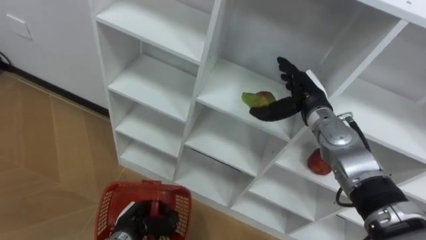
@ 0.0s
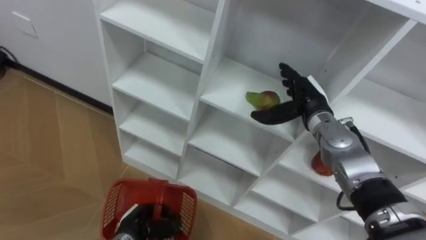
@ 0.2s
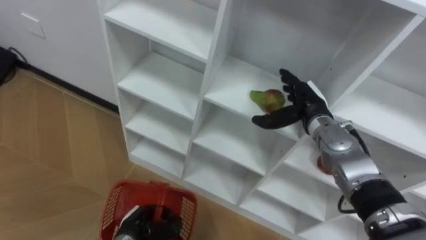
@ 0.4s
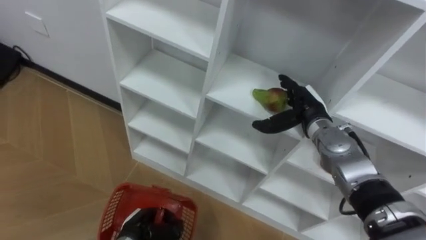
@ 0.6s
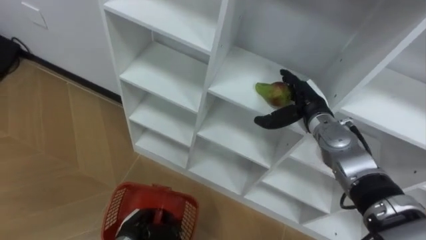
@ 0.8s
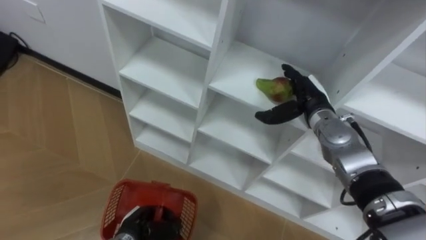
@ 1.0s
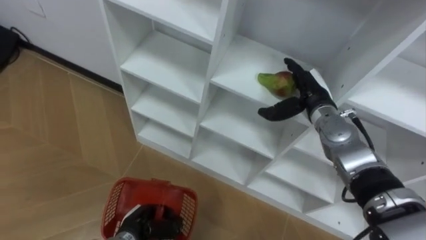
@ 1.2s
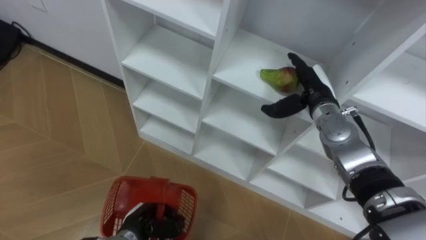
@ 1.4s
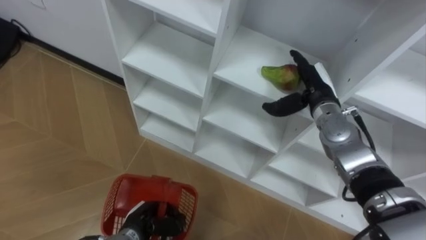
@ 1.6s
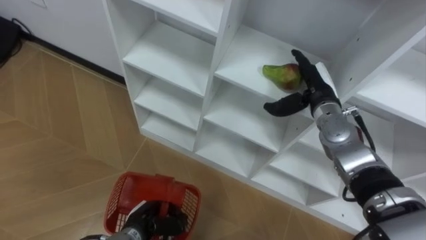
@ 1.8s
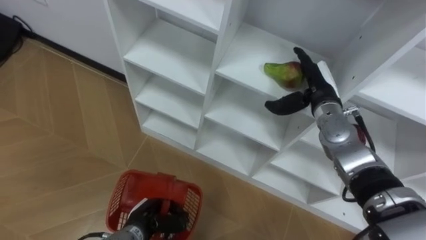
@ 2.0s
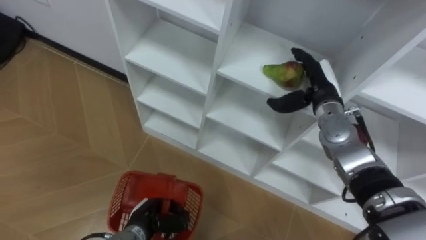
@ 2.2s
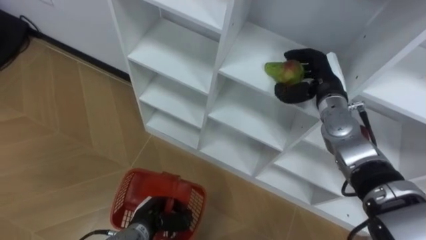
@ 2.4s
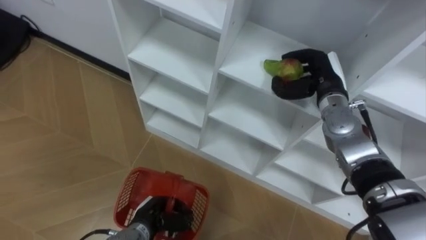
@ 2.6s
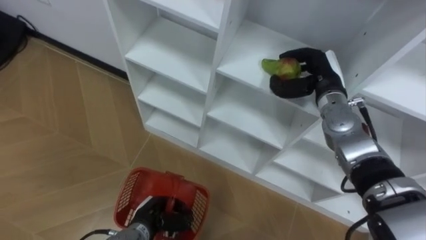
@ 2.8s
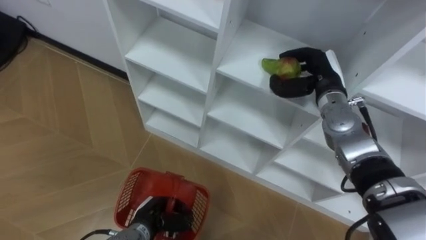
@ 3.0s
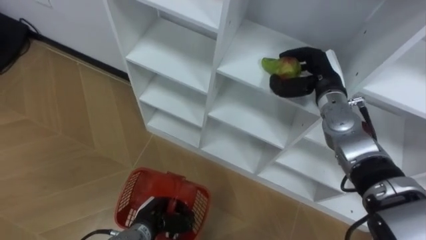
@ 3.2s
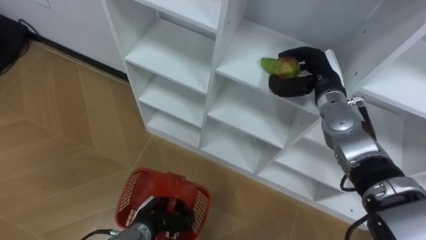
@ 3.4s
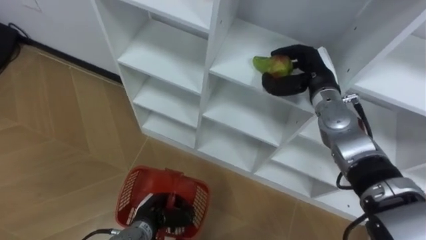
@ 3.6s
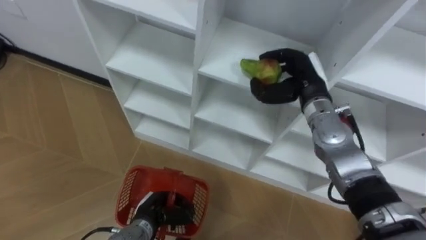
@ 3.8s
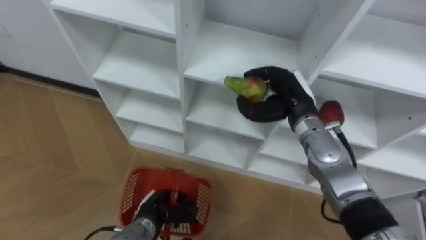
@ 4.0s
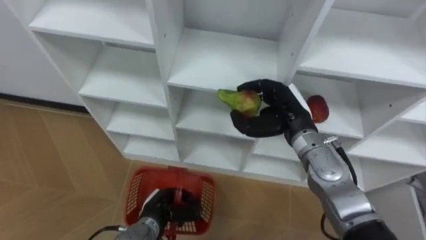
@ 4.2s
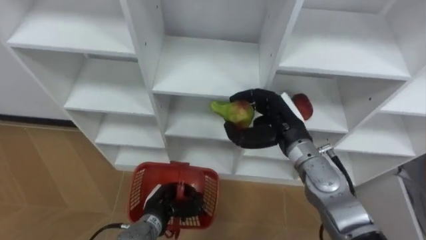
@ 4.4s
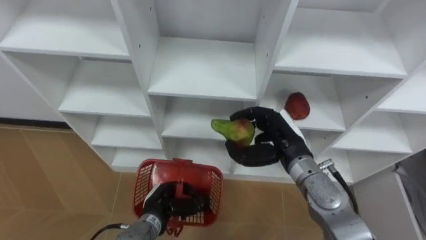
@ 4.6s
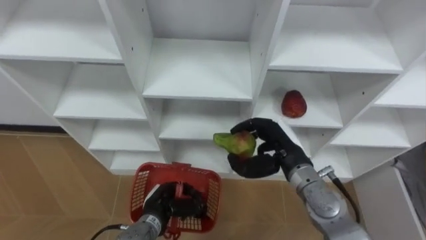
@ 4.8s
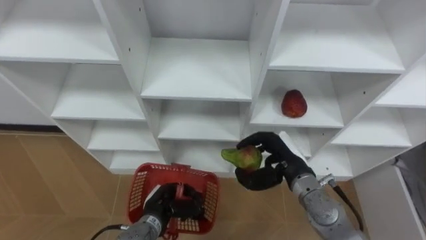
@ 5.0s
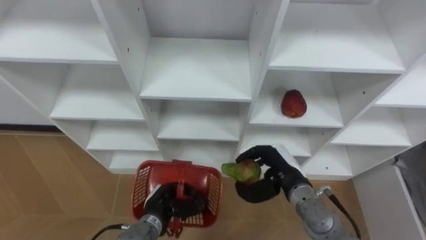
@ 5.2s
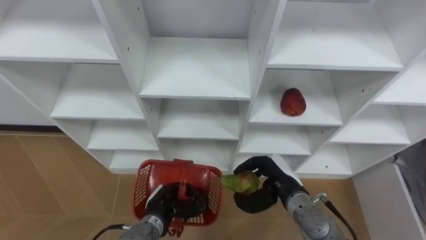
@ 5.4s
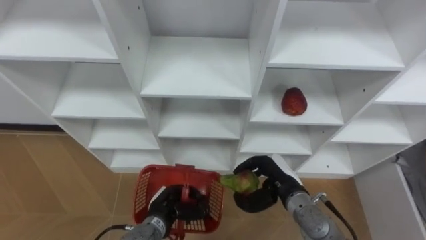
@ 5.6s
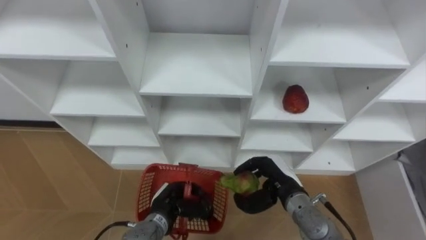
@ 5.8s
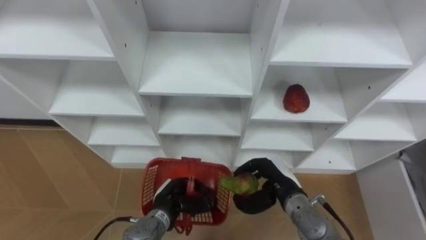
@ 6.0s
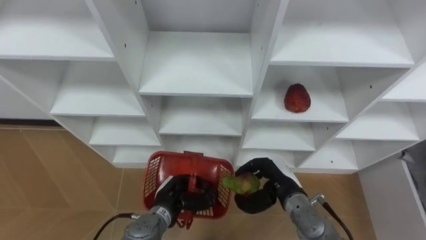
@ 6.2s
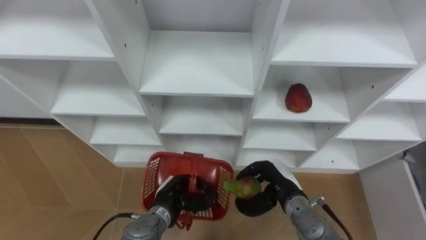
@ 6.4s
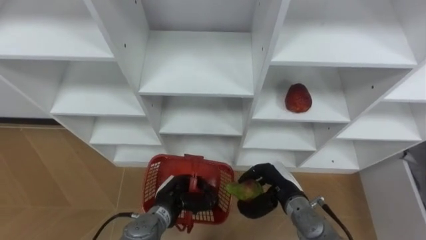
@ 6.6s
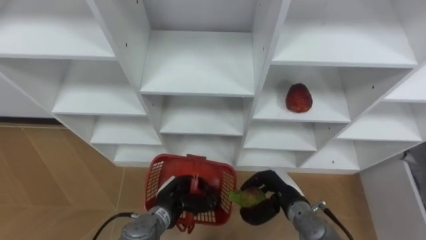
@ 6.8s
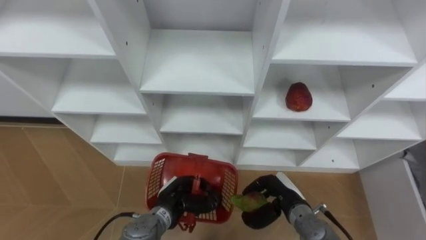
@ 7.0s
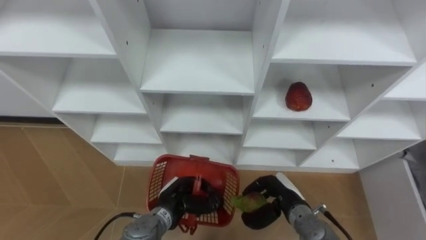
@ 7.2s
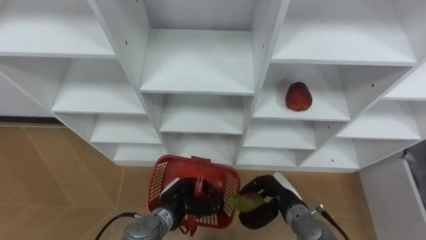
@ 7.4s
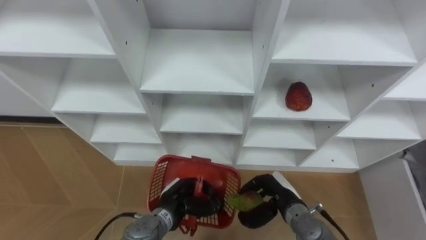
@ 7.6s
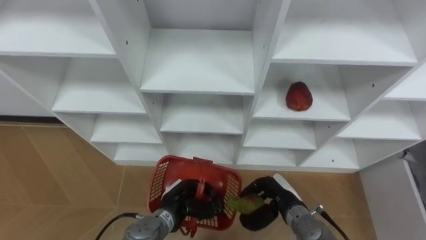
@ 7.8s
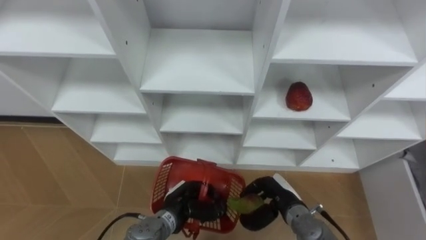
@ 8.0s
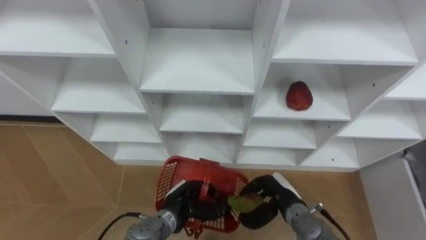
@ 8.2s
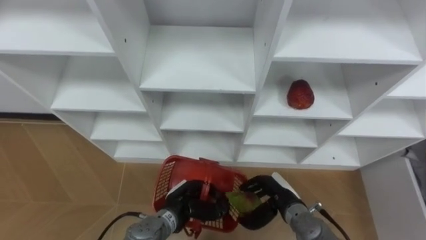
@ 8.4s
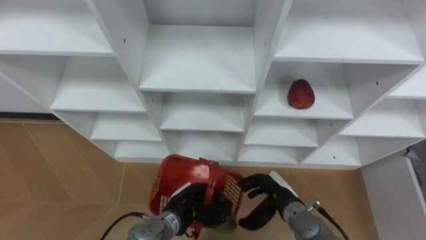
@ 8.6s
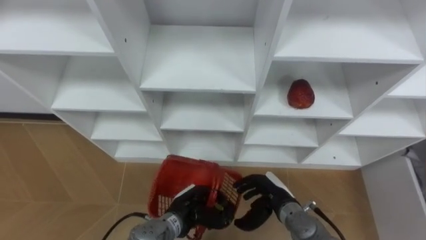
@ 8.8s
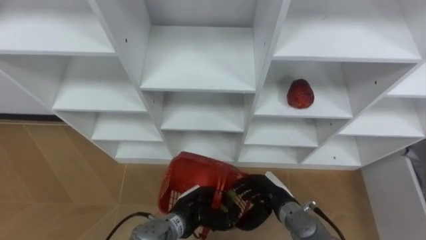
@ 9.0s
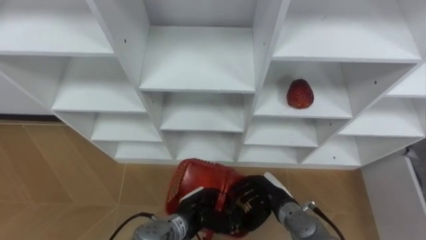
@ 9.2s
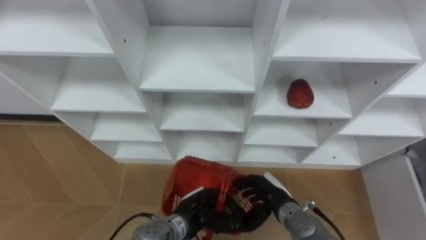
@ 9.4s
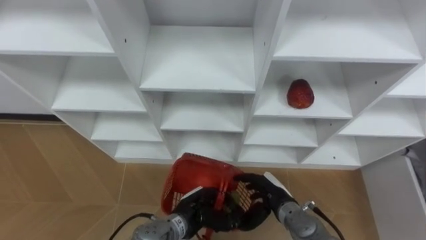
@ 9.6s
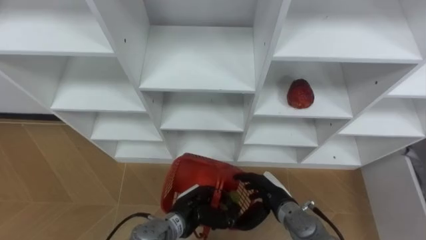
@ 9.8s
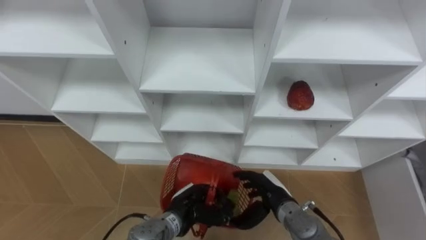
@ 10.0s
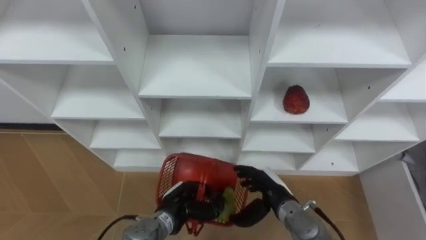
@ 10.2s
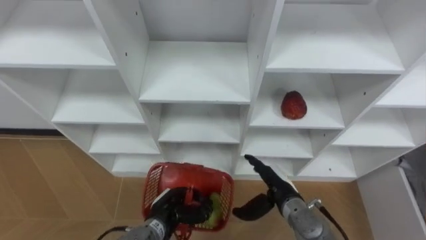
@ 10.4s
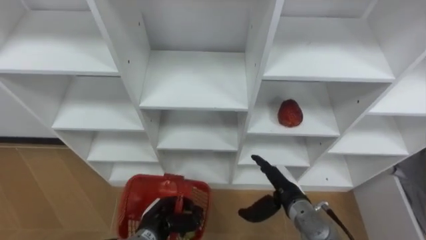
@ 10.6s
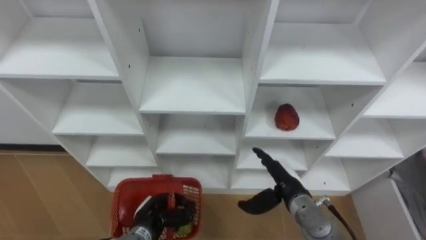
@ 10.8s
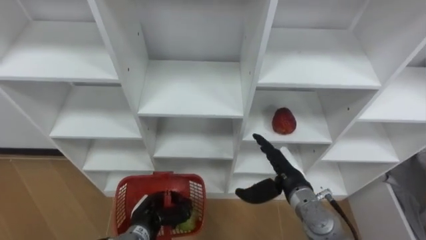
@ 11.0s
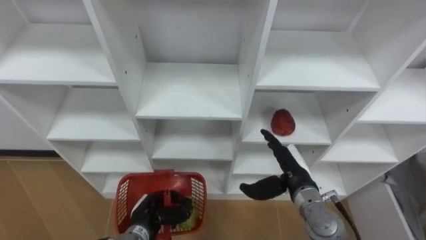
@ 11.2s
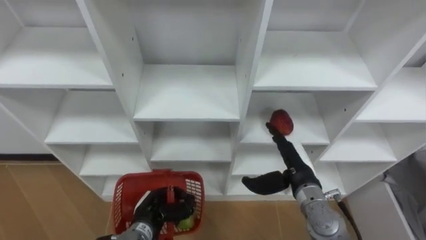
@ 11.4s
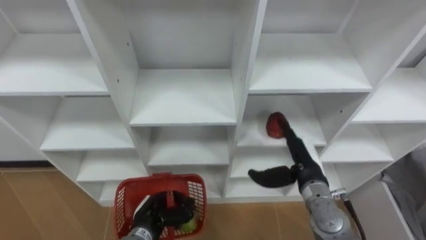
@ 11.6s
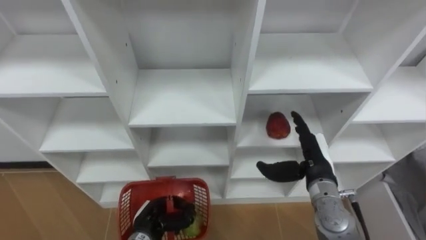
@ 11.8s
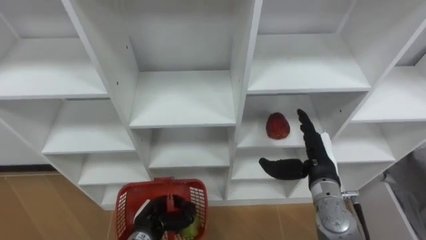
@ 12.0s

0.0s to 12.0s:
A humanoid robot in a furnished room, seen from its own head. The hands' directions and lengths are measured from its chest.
Task of the whole recording: Hold the basket and collect the fruits from 3 different cells of the closet into it.
1.6s to 3.0s: The right hand closes.
3.0s to 4.4s: The right hand is displaced backward and to the left by approximately 10 cm.
4.4s to 6.0s: The right hand is displaced downward and backward by approximately 15 cm.
6.0s to 9.0s: The hands stay close to where they were, moving slightly.
9.0s to 10.4s: The right hand opens. Meanwhile the left hand travels to the left by some 5 cm.
10.4s to 12.0s: The right hand shifts about 10 cm upward and to the right.

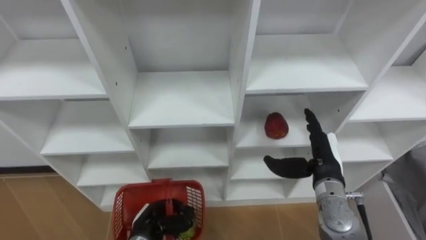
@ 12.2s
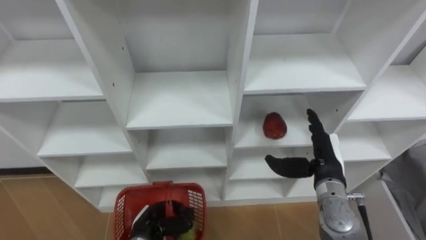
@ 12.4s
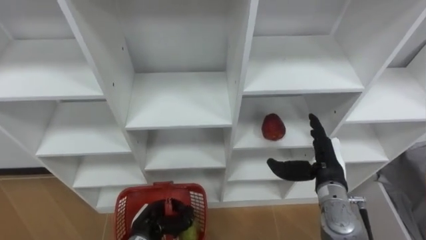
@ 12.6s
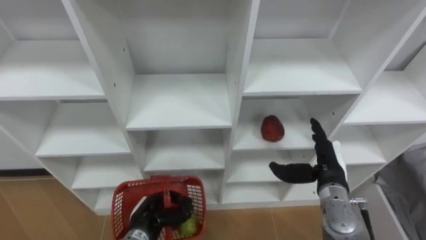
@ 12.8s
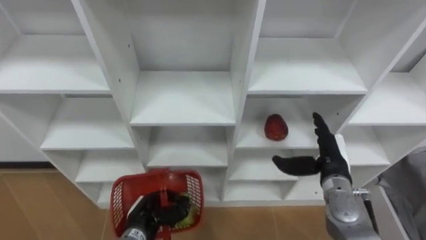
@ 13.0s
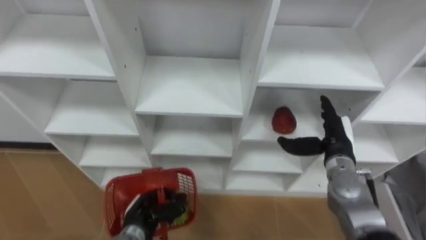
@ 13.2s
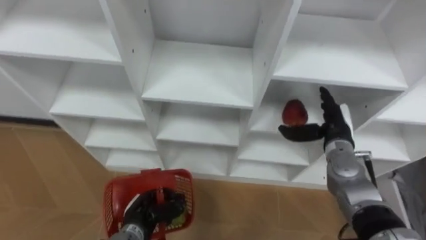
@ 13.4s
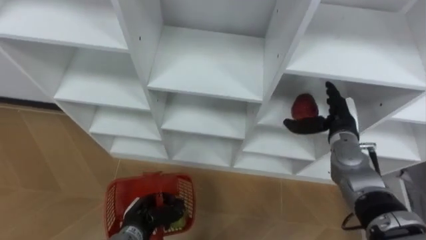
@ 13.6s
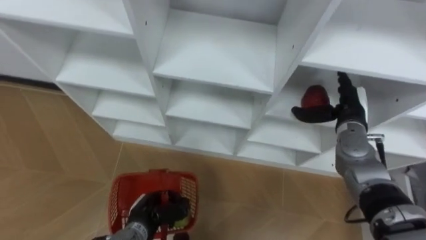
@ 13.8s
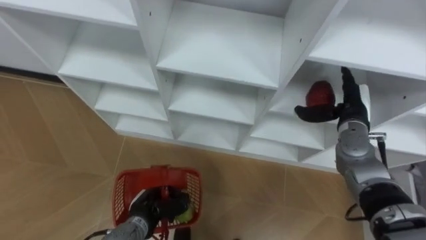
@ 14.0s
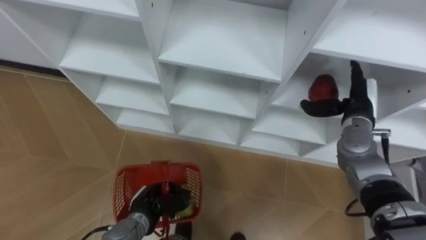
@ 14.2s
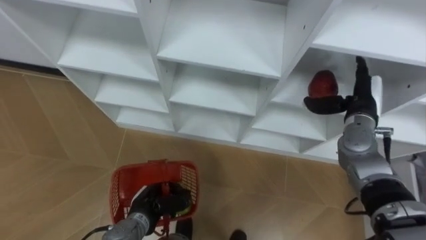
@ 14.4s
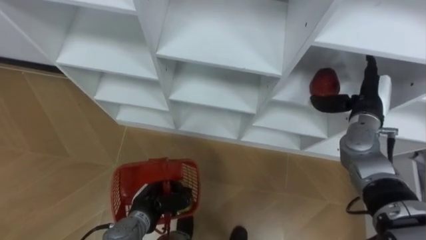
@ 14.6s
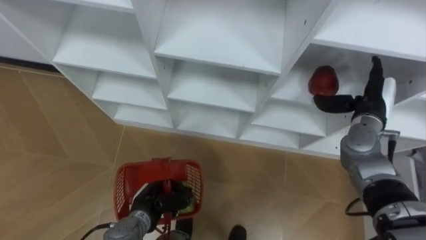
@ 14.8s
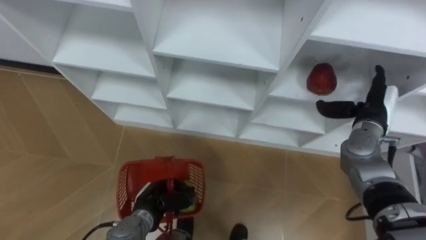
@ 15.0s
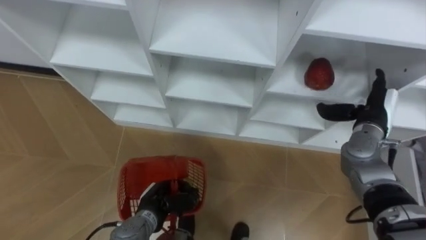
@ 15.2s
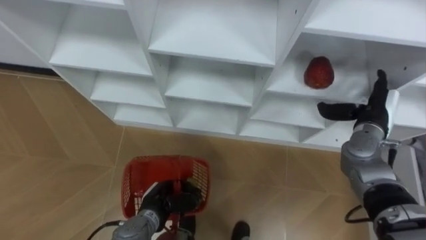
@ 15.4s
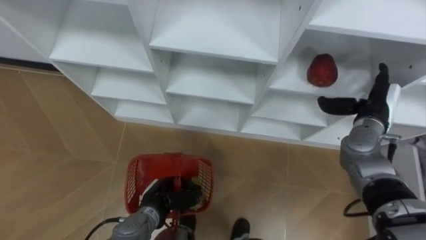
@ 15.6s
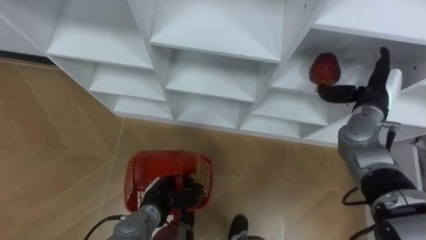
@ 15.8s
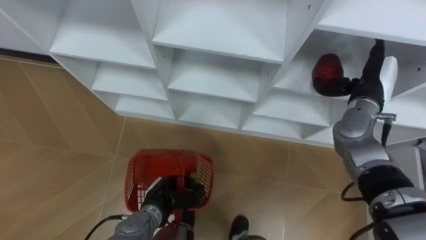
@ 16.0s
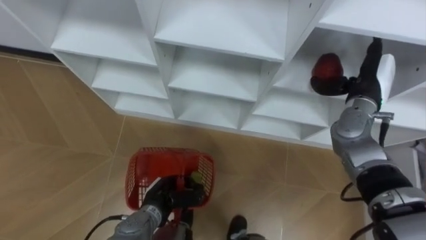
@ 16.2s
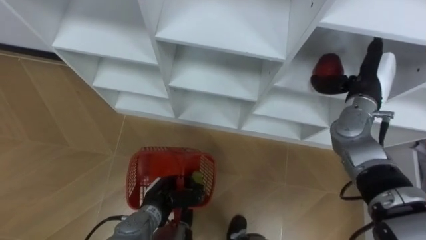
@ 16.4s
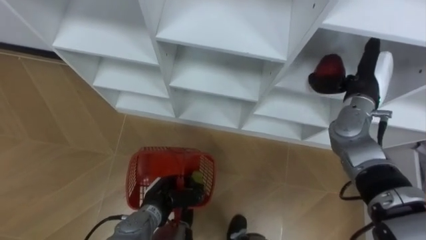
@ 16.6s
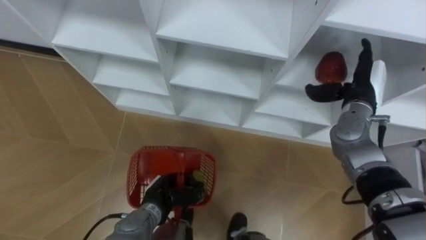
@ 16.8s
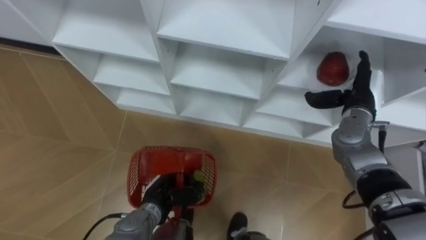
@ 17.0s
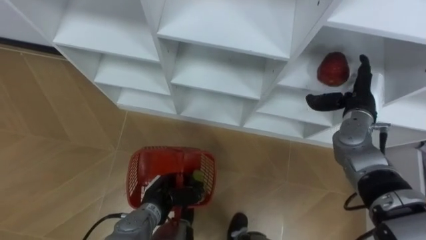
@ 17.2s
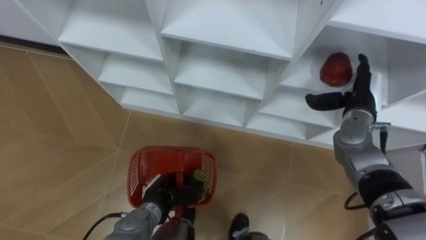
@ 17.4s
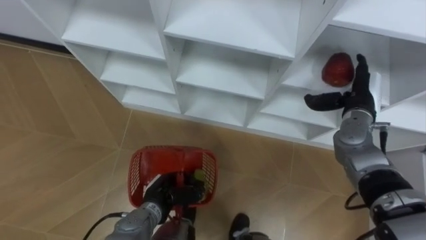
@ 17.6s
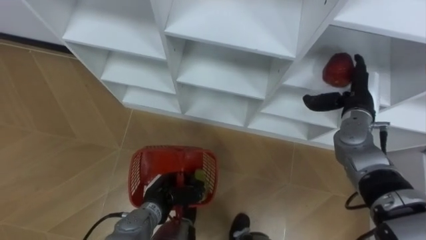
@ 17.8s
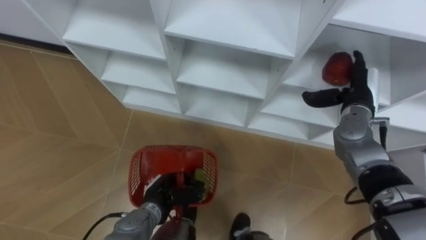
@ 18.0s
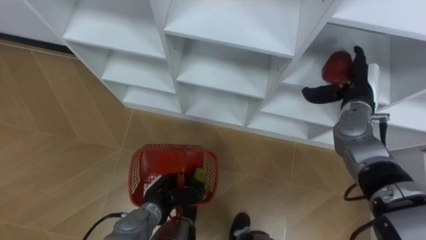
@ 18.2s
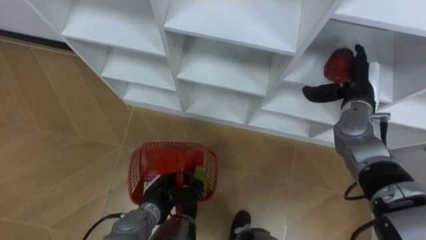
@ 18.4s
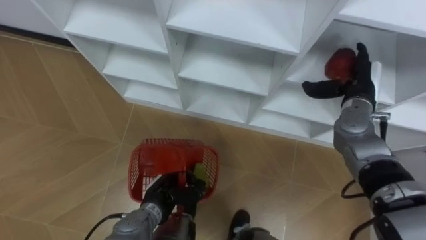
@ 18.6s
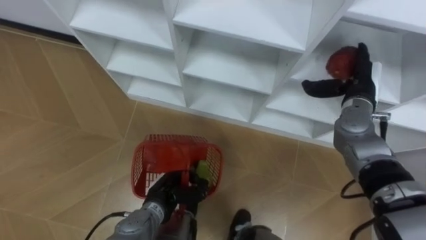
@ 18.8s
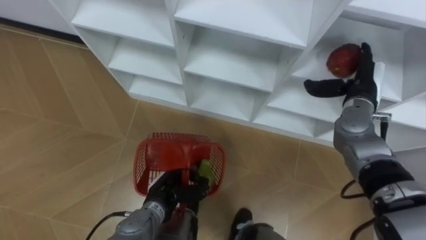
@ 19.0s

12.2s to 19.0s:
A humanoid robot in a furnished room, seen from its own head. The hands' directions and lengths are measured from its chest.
Task of the whole recording: Hold the basket and collect the fruits from 3 different cells of the closet into it.
12.2s to 13.6s: The right hand travels forward by some 10 cm.
13.6s to 15.0s: The right hand goes approximately 5 cm to the right.
15.0s to 16.2s: The right hand heads upward, covering some 5 cm.
